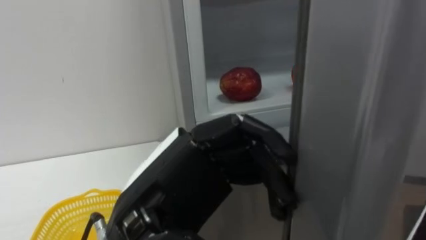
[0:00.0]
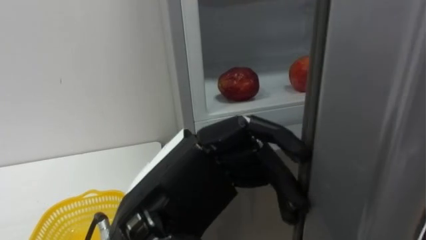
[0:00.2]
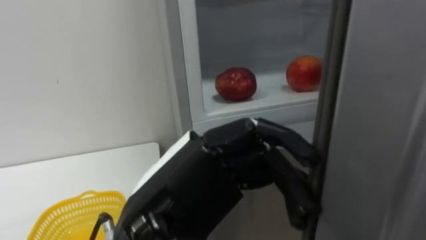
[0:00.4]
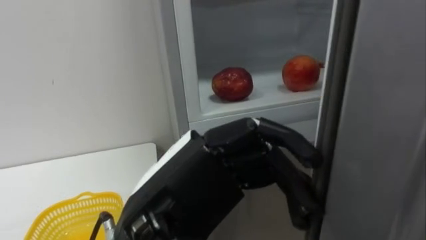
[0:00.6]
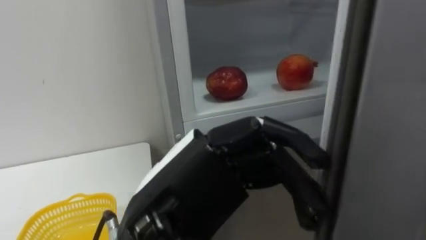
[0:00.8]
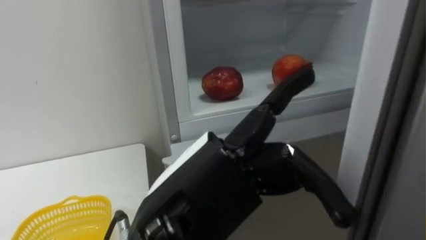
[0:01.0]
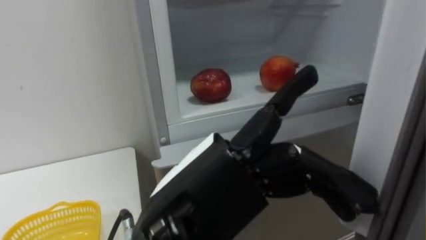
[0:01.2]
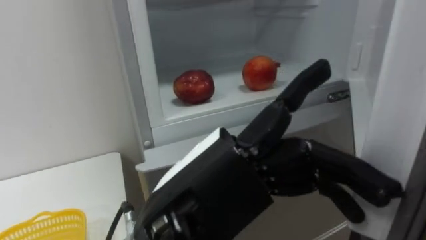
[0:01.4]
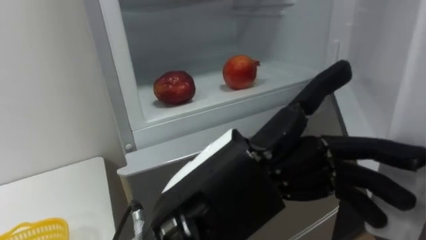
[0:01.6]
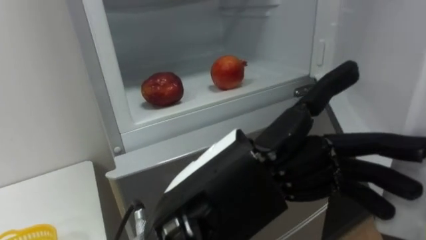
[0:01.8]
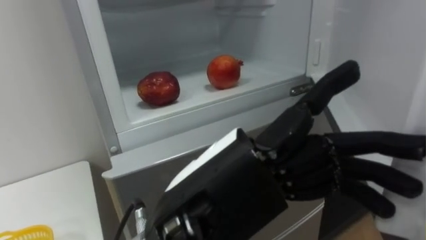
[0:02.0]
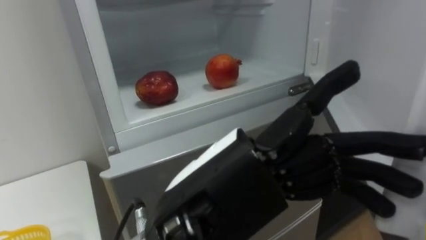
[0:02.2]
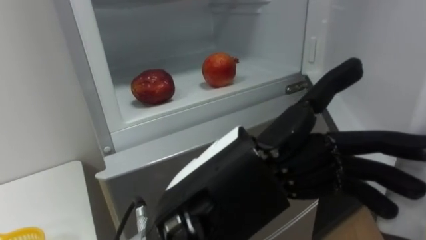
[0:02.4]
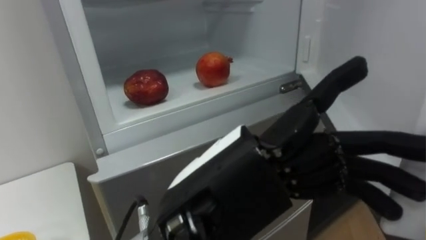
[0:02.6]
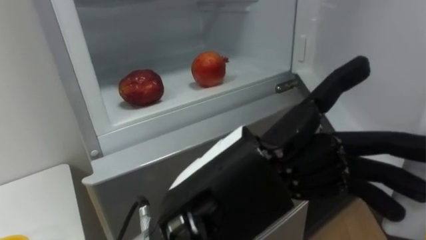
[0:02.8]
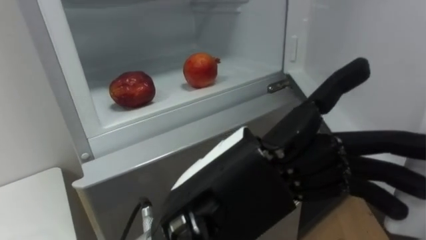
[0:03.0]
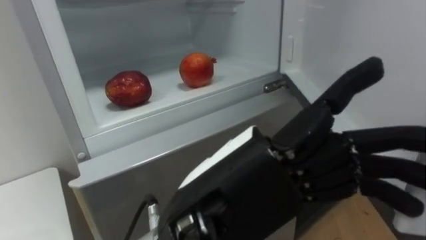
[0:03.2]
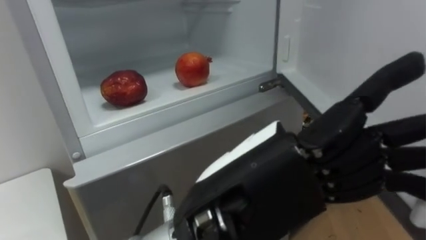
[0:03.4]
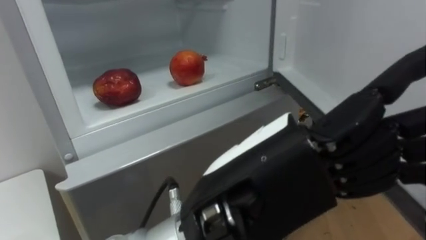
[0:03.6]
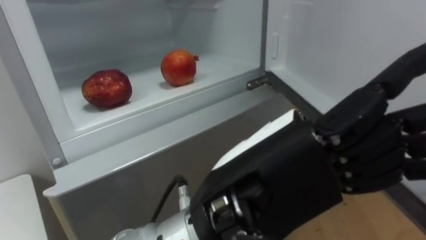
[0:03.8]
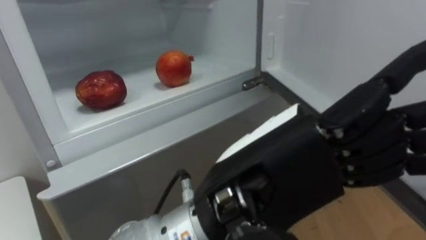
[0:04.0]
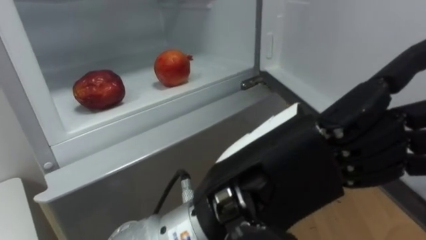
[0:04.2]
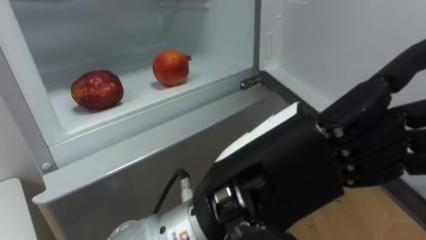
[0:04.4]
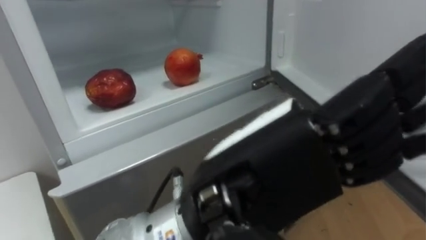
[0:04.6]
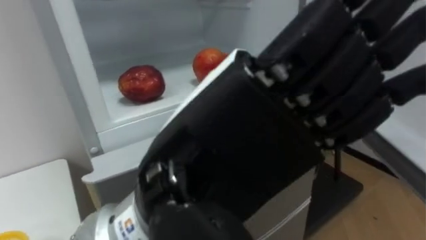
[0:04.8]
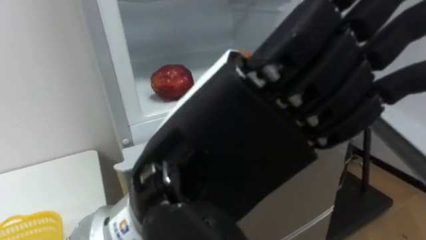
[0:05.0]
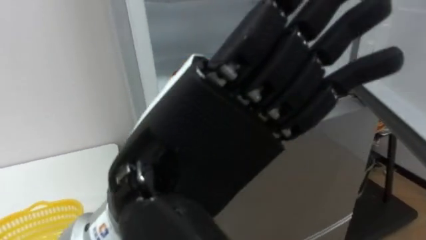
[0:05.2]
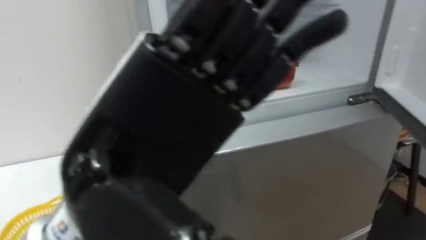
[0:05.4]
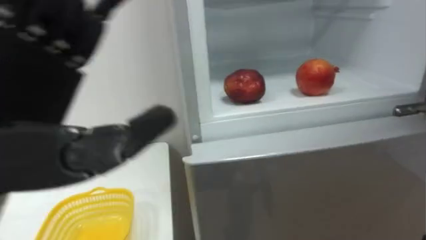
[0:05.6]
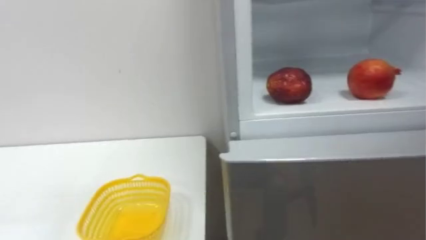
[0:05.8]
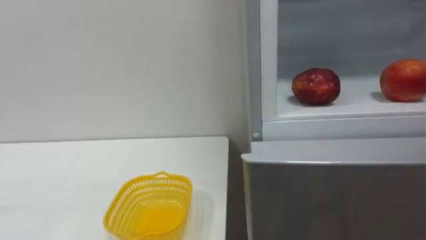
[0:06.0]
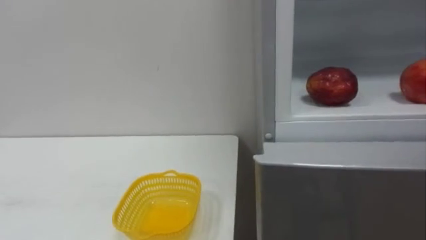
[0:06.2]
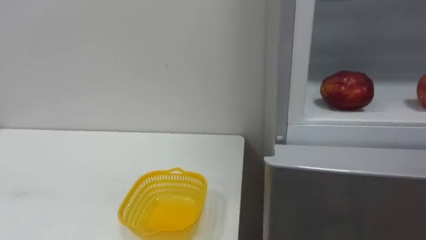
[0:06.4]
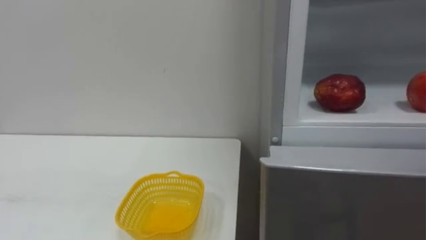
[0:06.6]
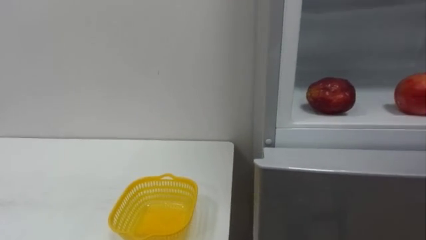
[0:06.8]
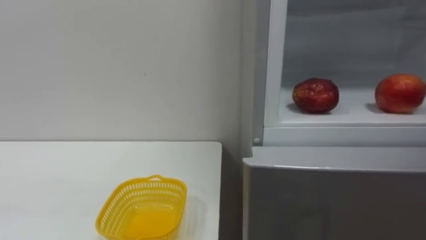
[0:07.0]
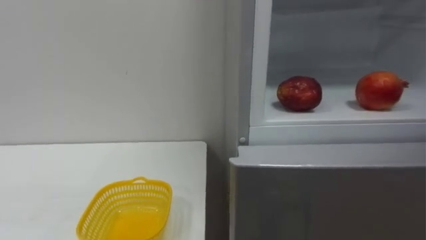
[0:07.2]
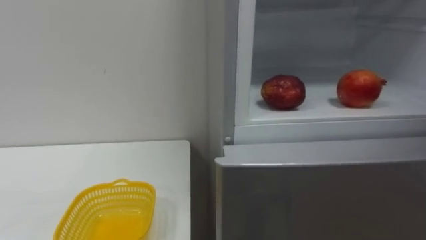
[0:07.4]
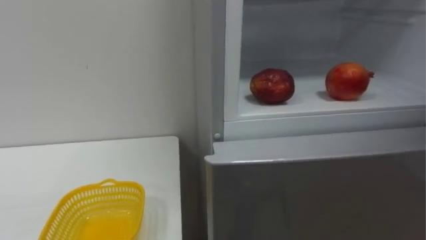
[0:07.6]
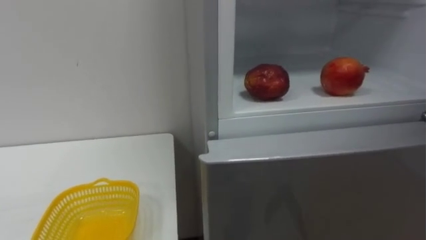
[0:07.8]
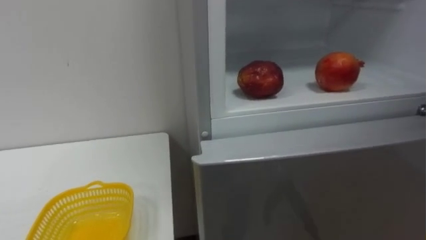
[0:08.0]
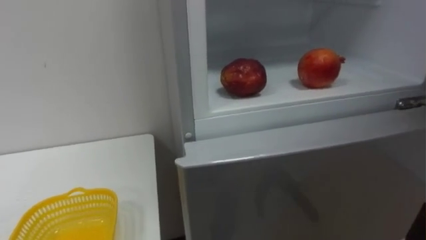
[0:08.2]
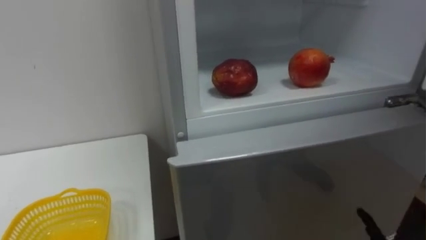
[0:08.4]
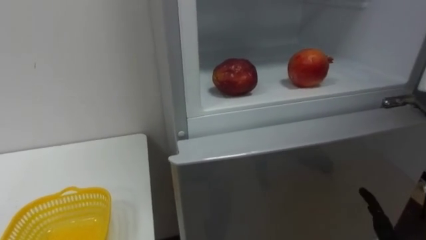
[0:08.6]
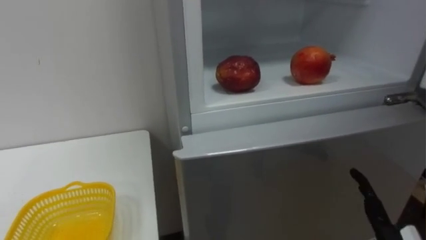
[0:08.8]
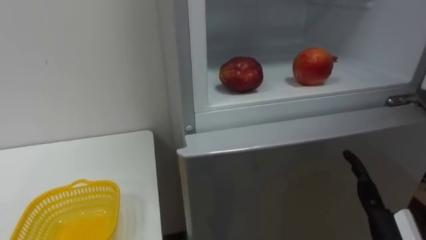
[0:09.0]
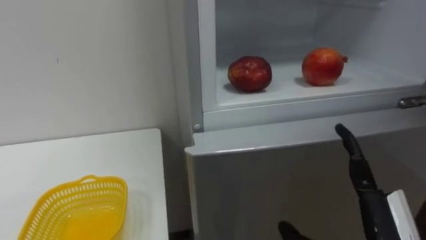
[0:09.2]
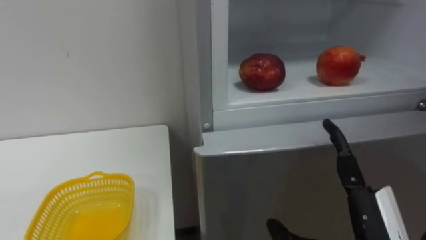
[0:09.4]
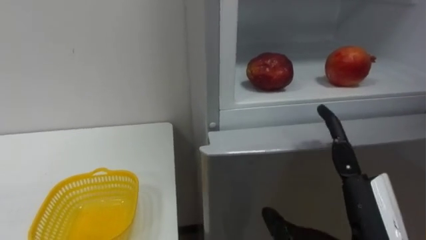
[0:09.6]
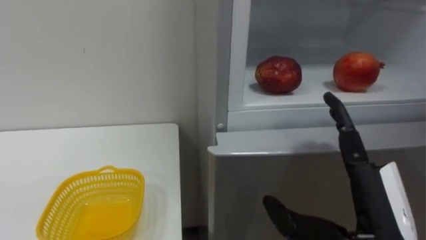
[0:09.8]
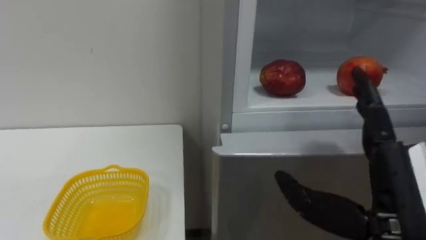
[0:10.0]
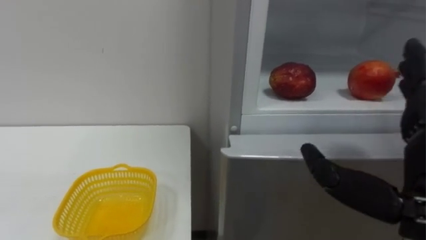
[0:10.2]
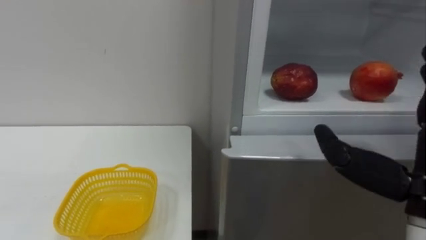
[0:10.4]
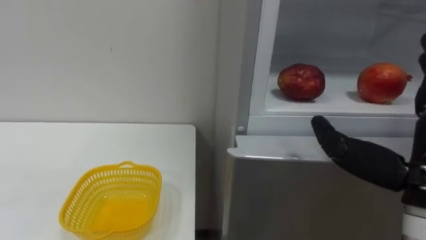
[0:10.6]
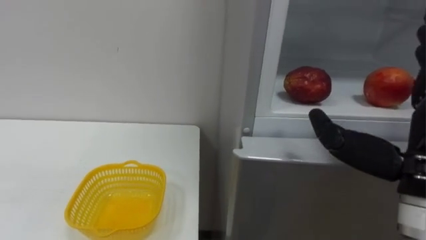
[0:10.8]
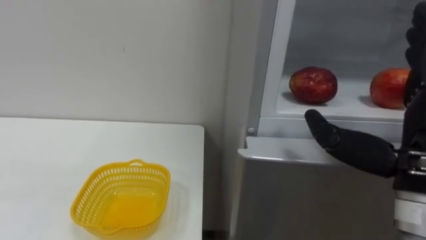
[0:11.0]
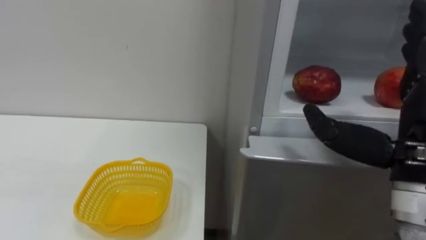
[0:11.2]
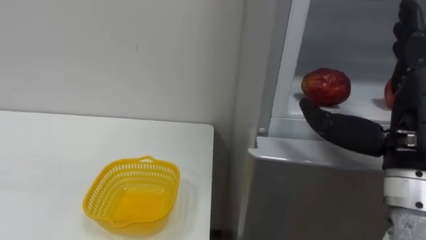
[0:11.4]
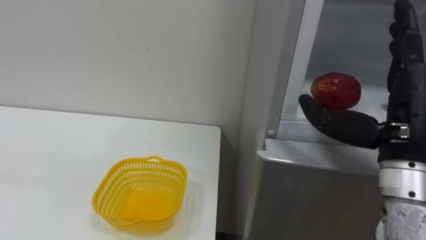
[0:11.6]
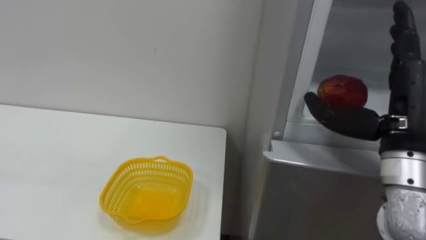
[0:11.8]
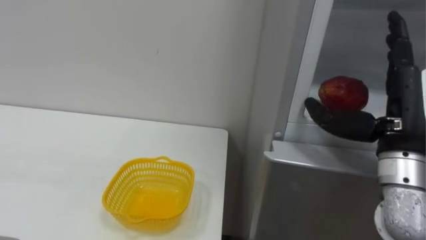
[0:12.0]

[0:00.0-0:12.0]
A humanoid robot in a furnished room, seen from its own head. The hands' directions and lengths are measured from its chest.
Task of the whole recording: Open the refrigerator door, take out the apple and the pomegranate, place them in the fruit basket on the left, and close the refrigerator door.
0:10.4 to 0:12.0: The right hand travels forward by roughly 10 cm.

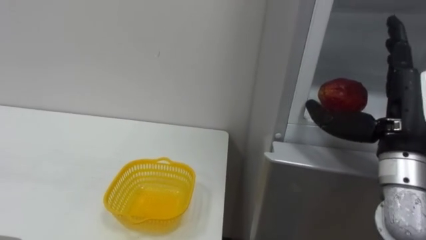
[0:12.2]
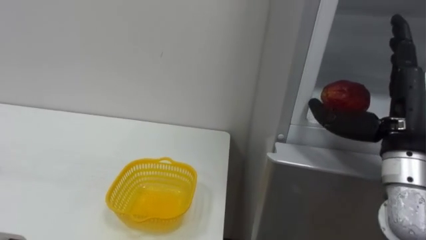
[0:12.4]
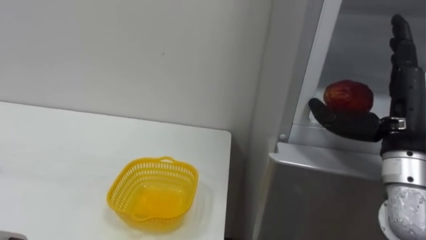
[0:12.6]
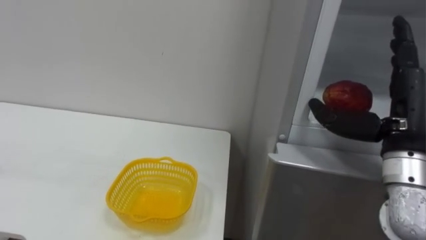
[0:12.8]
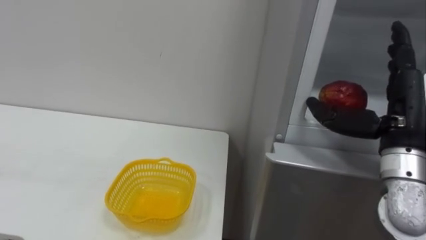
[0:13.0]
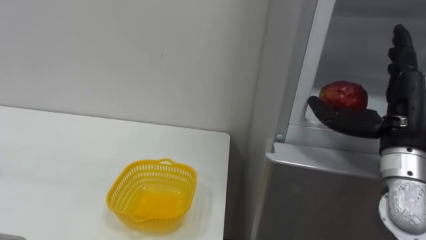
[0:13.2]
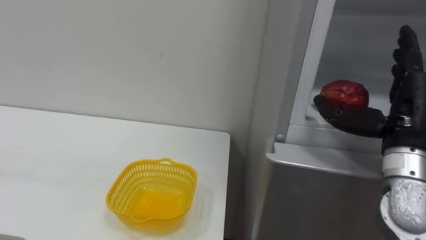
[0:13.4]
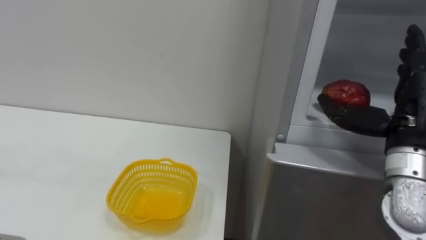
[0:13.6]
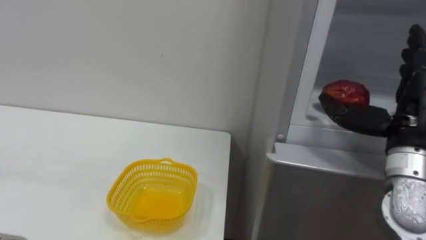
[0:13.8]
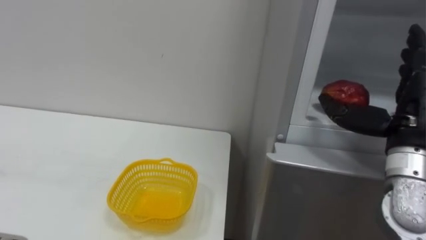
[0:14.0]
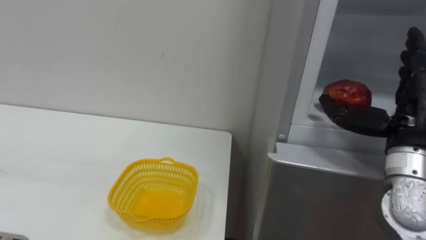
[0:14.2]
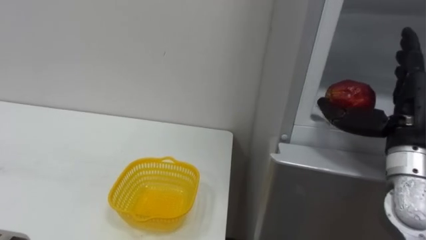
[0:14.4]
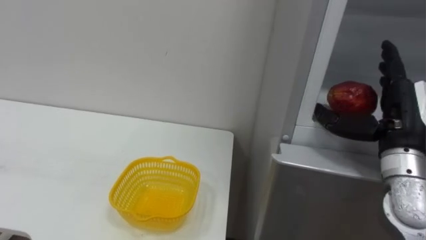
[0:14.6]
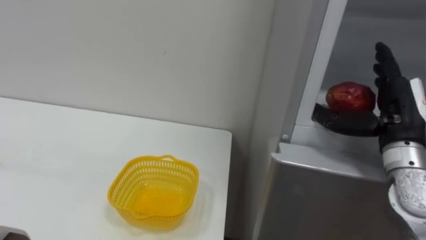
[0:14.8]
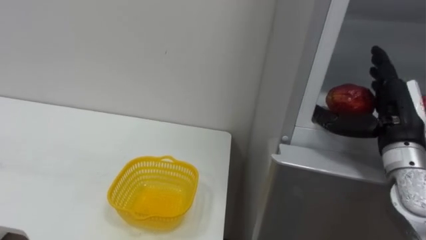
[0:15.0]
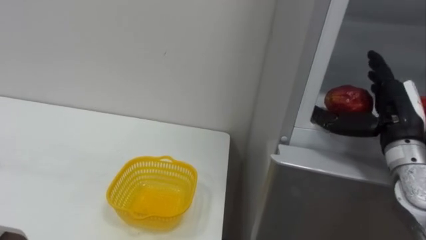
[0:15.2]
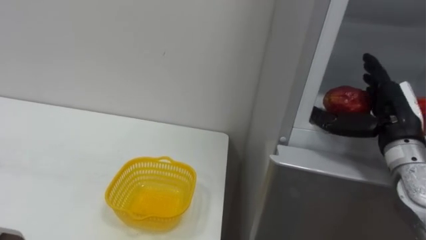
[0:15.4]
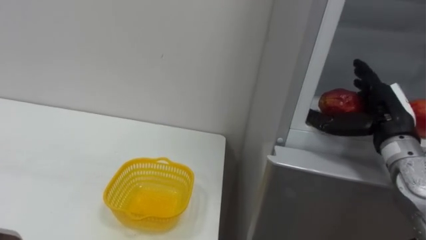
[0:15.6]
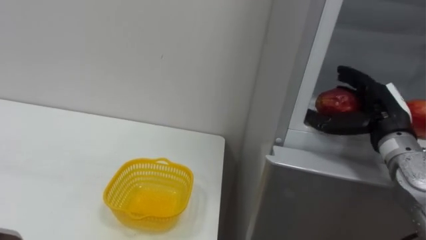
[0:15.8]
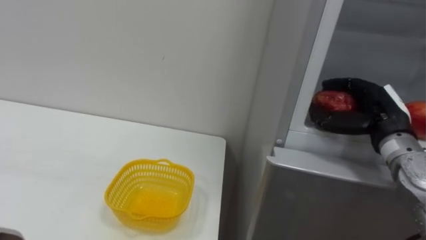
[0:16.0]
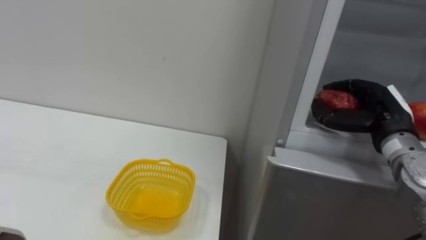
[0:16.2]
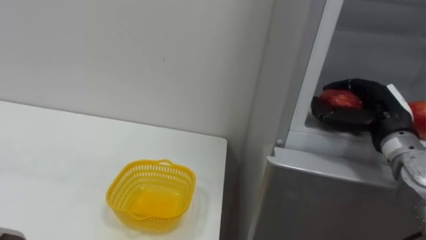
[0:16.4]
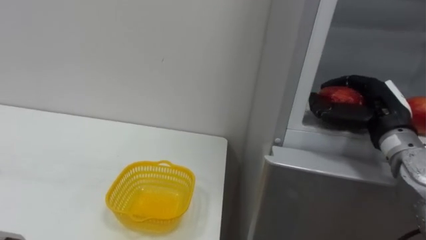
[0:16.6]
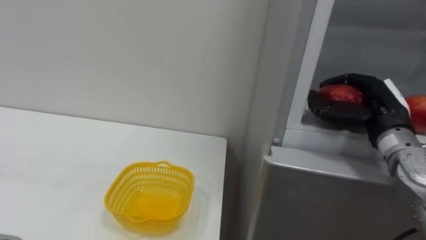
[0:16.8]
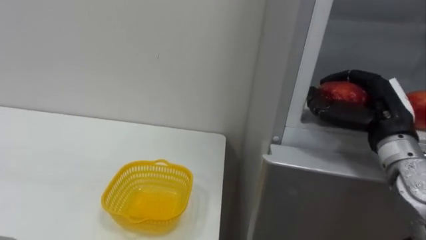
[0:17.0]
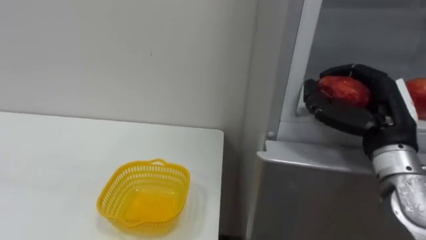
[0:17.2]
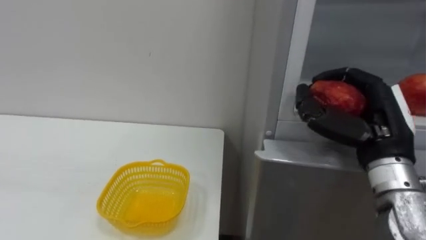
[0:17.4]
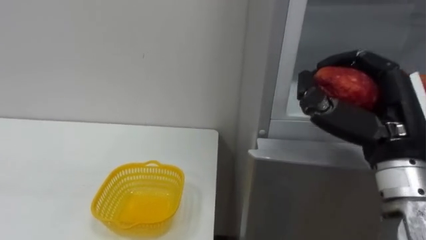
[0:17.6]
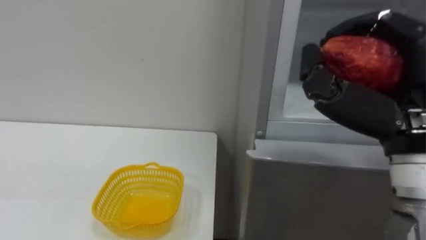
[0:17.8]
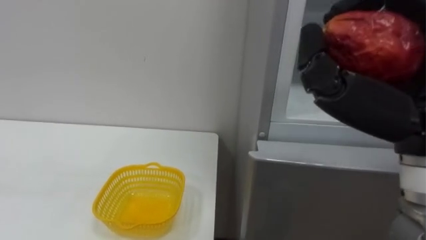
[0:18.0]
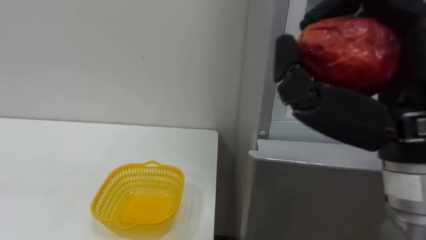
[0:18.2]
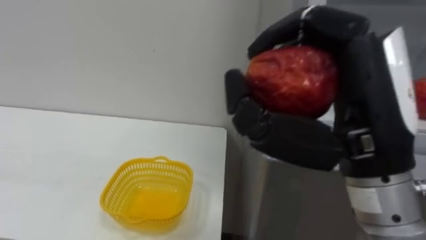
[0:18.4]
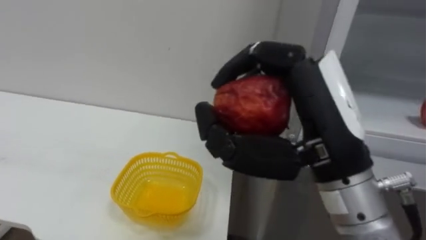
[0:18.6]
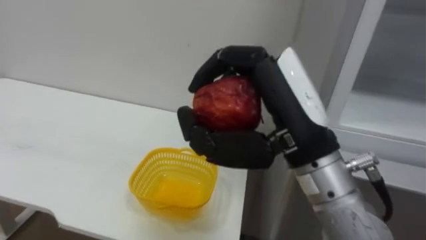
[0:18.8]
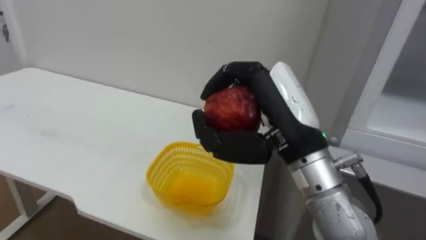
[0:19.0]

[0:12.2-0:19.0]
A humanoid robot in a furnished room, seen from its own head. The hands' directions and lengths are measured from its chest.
Task of the whole recording: Open the refrigerator door, take out the apple and the pomegranate, place them in the fruit basket on the left, and close the refrigerator door.
0:15.0 to 0:16.2: The right hand closes up.
0:16.2 to 0:17.6: The right hand heads backward, to the left and upward, covering about 10 cm.
0:17.6 to 0:19.0: The right hand is displaced to the left by about 15 cm.
